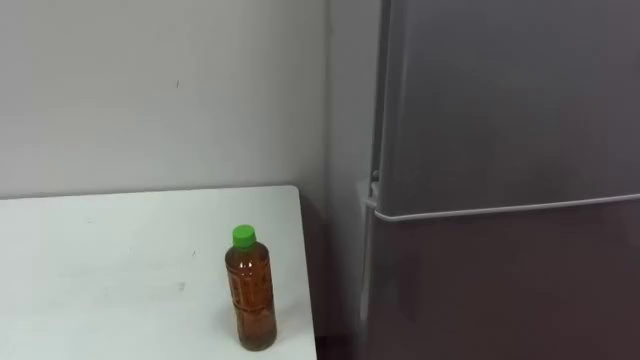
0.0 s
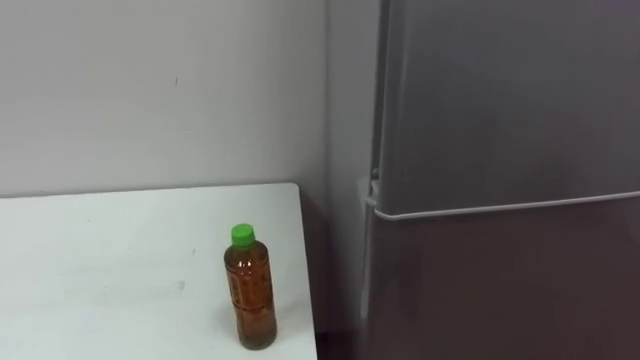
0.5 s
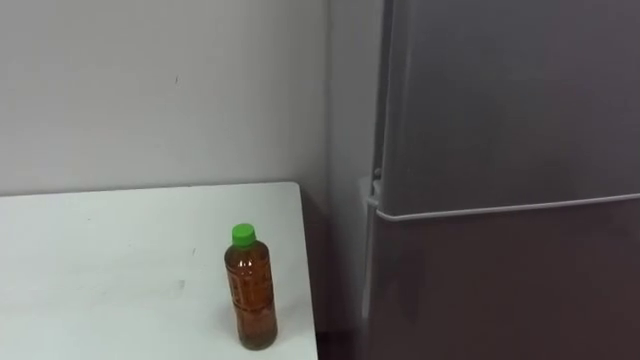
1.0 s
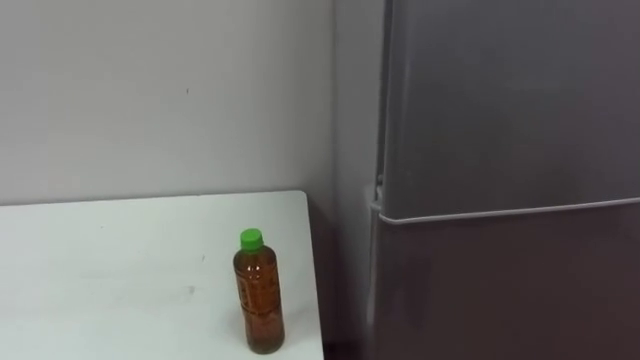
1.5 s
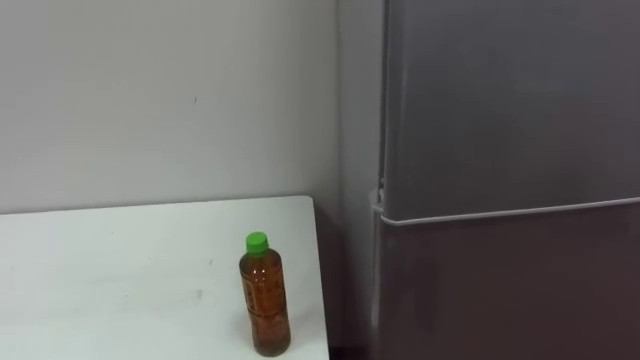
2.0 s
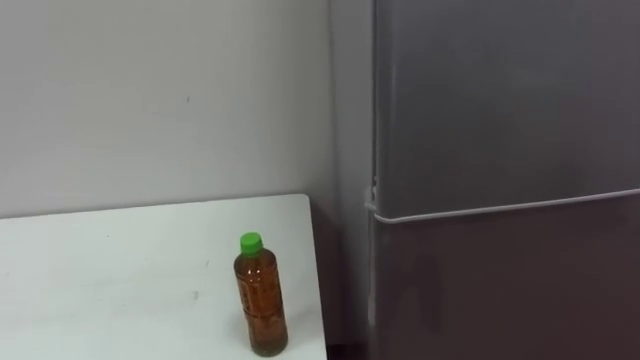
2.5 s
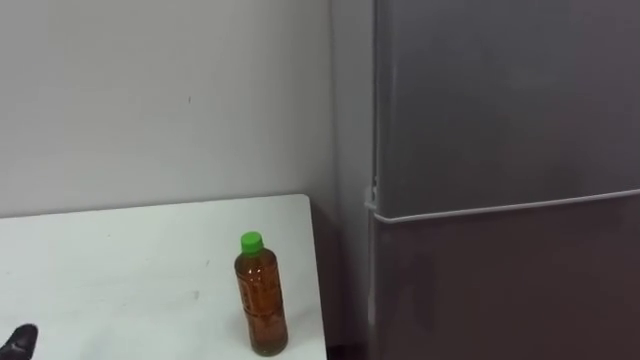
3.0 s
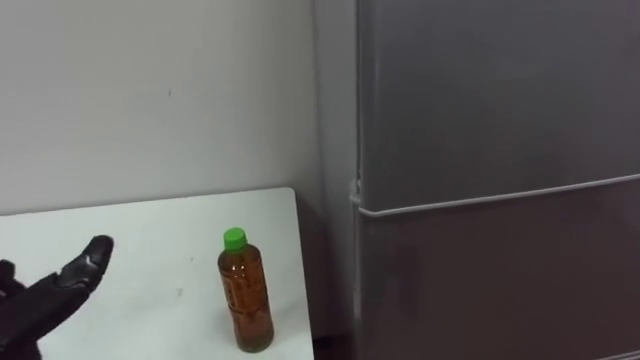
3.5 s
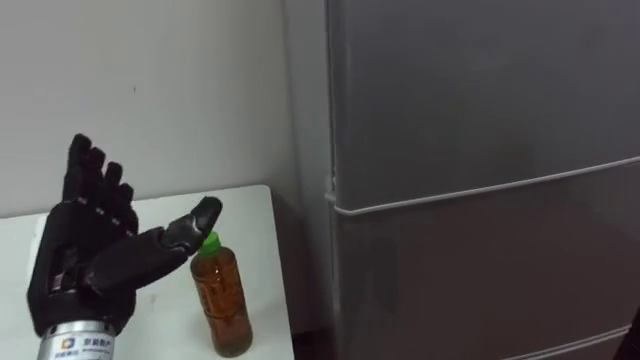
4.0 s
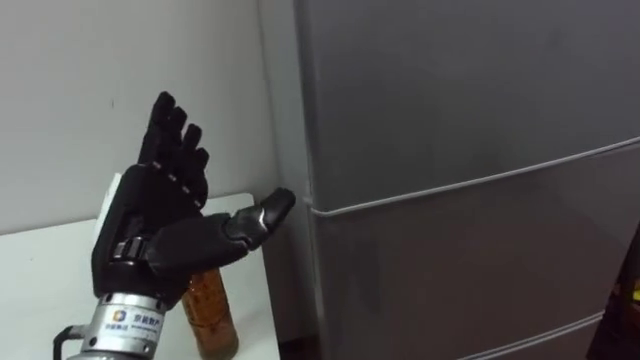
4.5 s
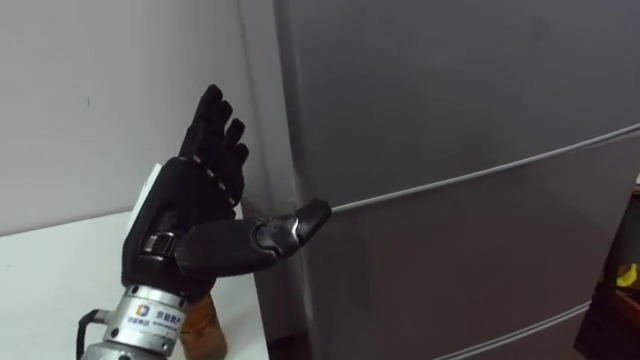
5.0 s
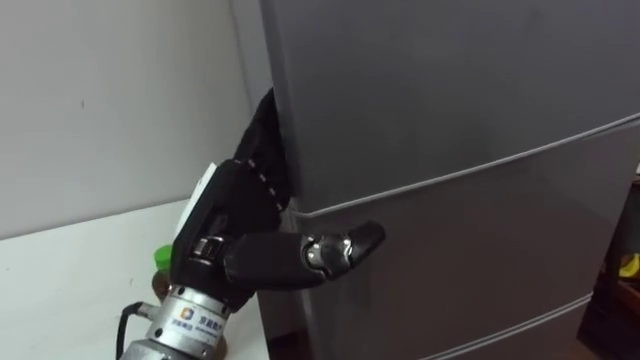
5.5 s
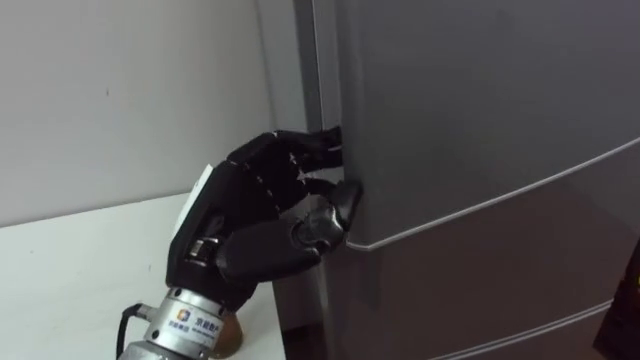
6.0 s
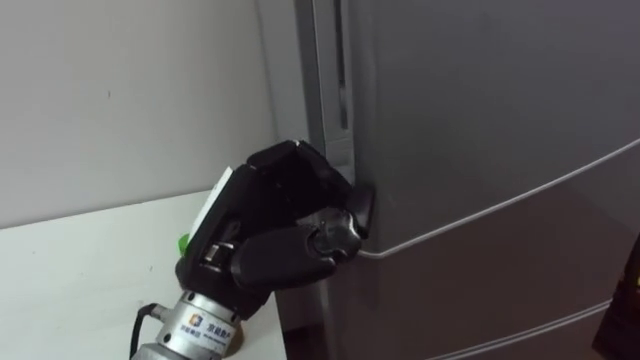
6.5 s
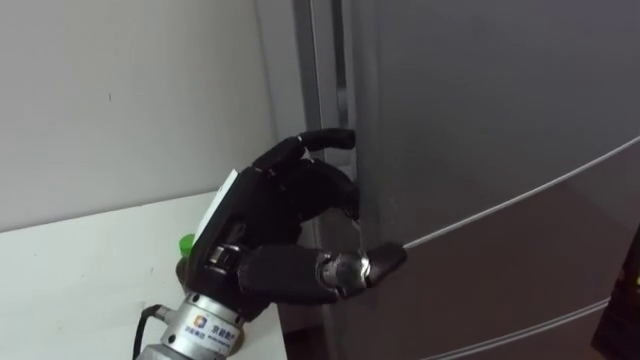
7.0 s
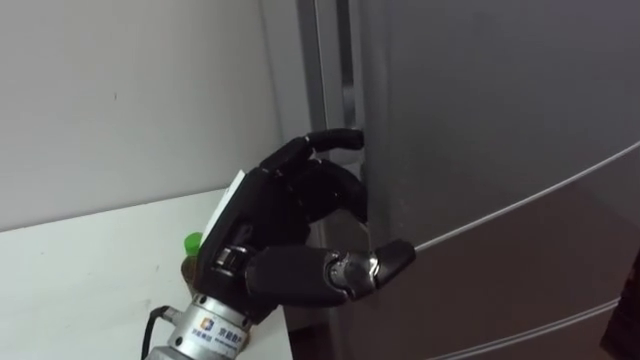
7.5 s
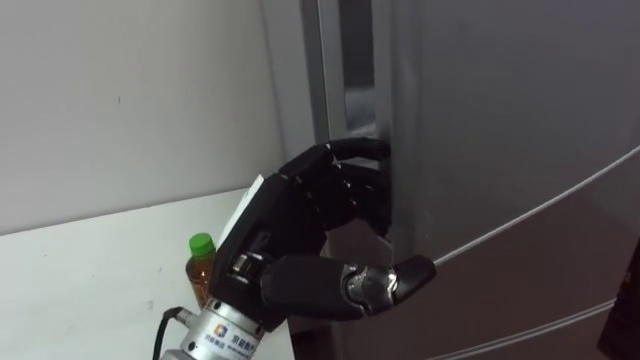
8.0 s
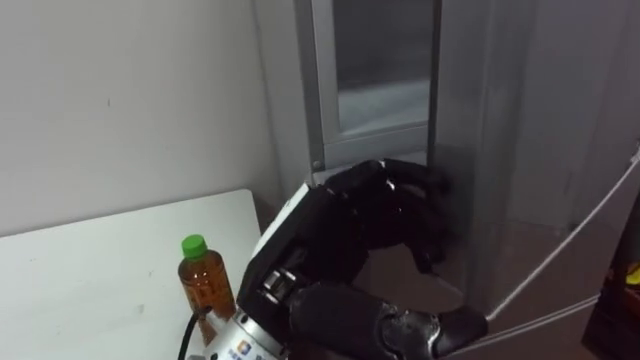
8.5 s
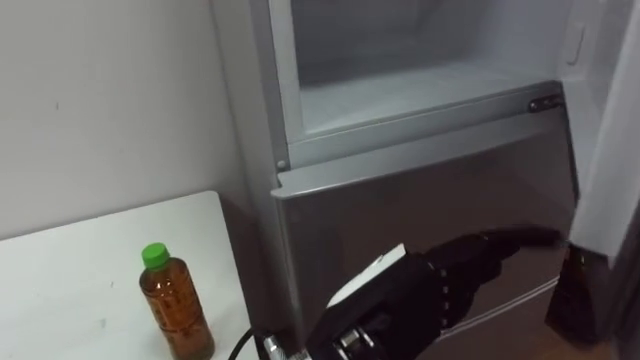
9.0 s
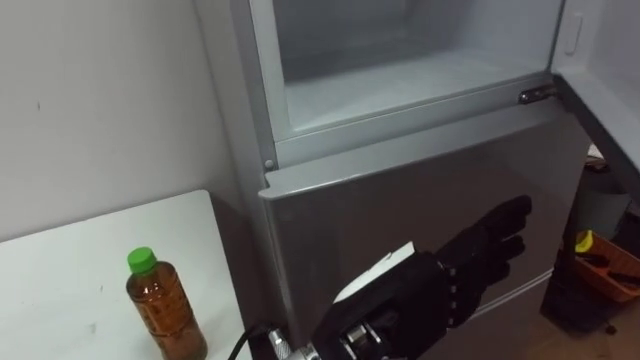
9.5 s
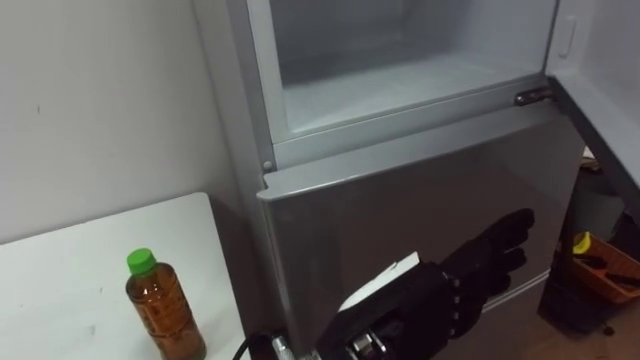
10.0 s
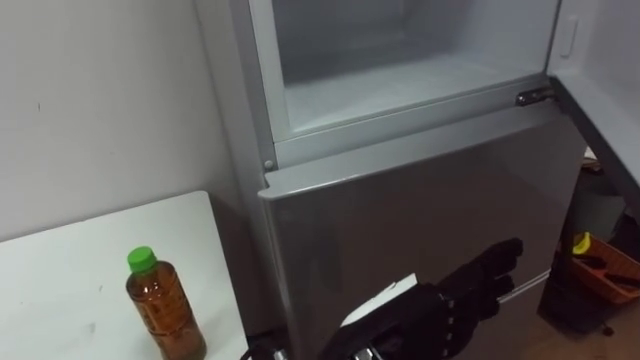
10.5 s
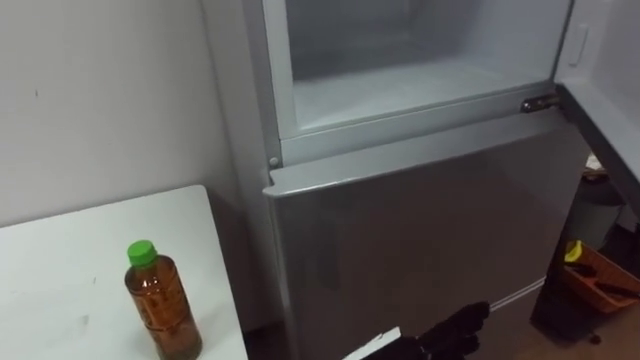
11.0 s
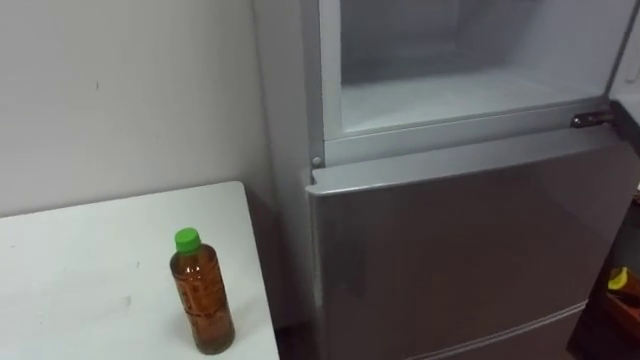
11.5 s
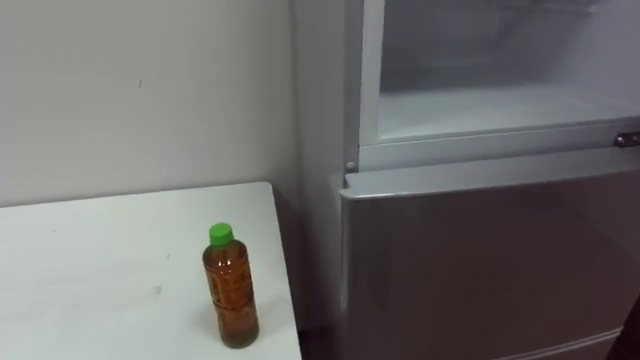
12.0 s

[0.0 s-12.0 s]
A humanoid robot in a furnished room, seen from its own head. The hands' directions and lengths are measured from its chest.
Task of the whole recording: Open the upper refrigerator door, put the drink from the table into the refrigerator, and then close the refrigerator door.
4.0 to 6.0 s: The left hand heads to the right, covering roughly 15 cm, and closes its fingers.
6.0 to 8.0 s: The left hand opens its fingers.
8.0 to 10.0 s: The left hand moves to the right and backward, about 10 cm.

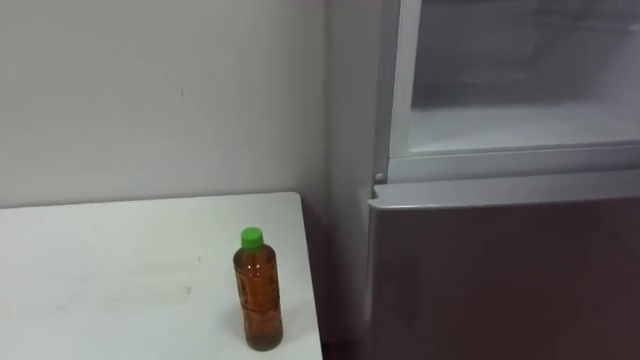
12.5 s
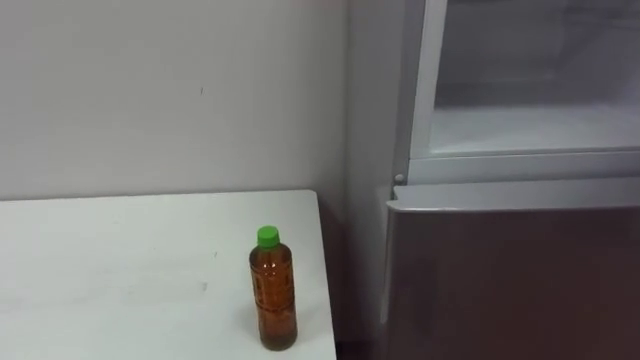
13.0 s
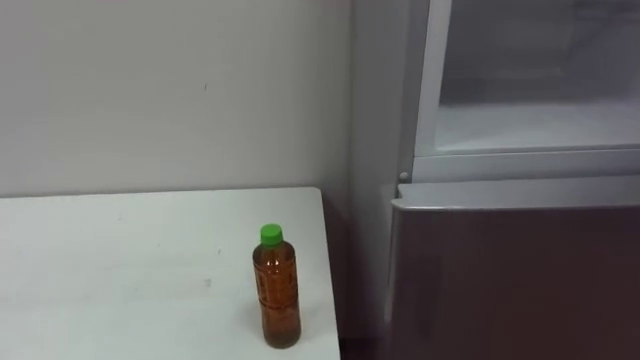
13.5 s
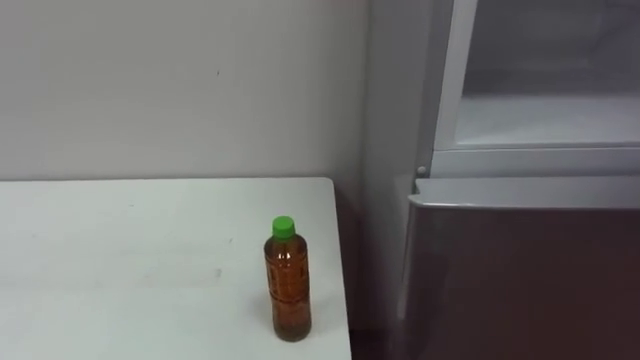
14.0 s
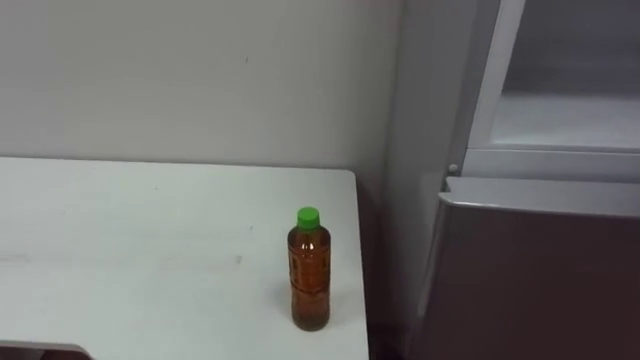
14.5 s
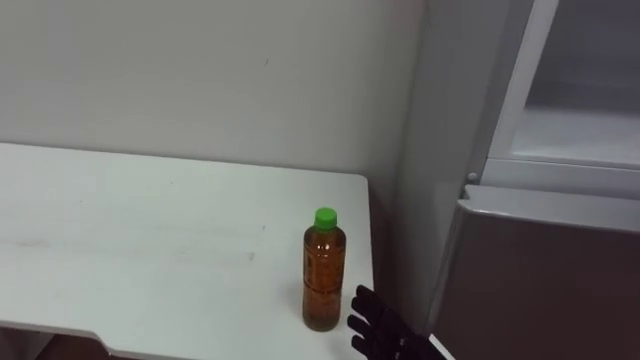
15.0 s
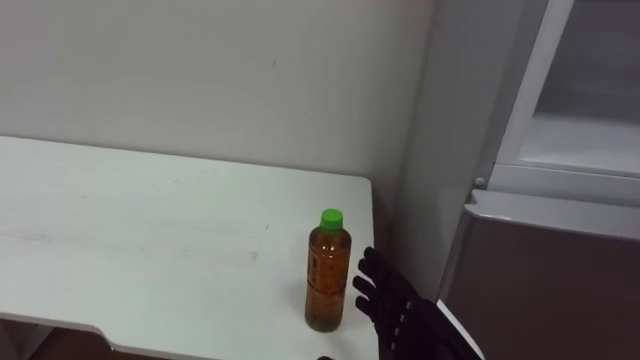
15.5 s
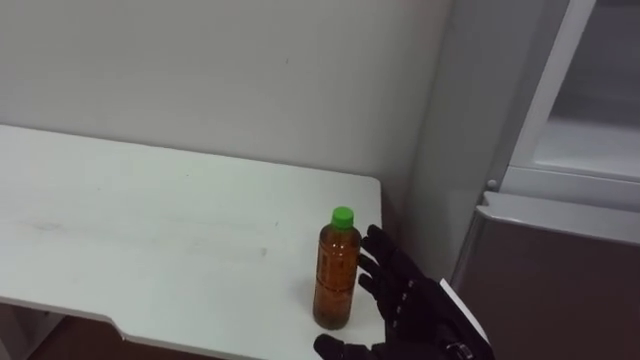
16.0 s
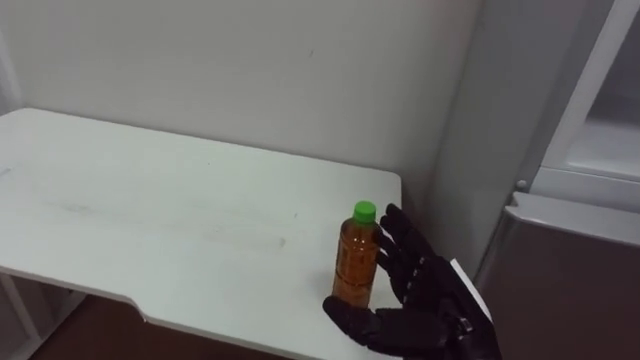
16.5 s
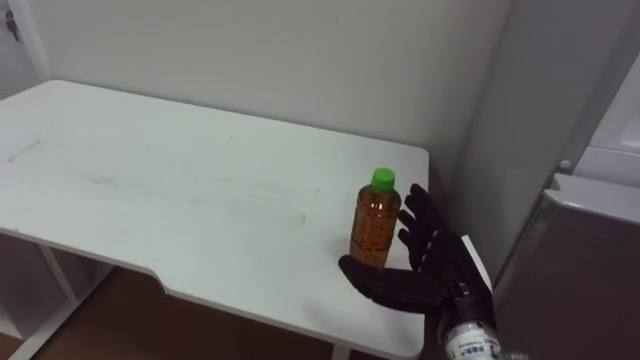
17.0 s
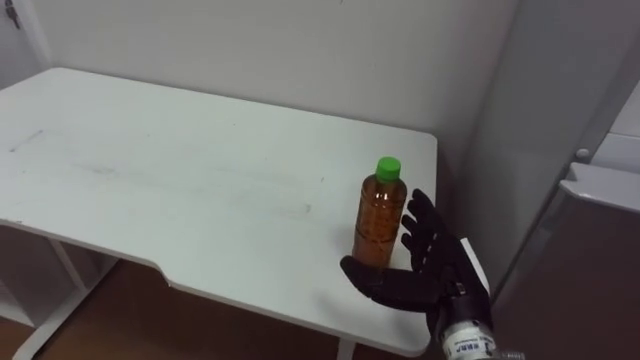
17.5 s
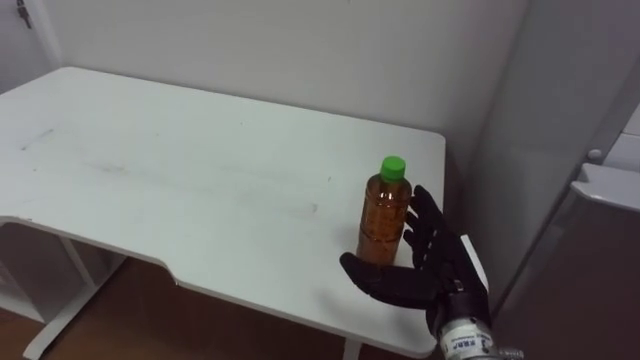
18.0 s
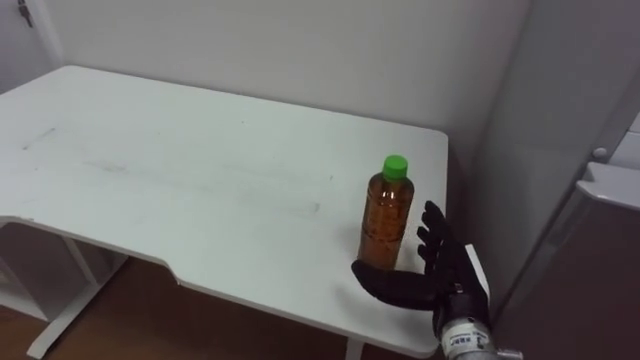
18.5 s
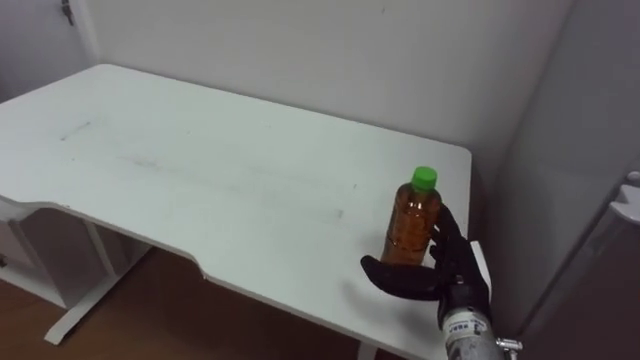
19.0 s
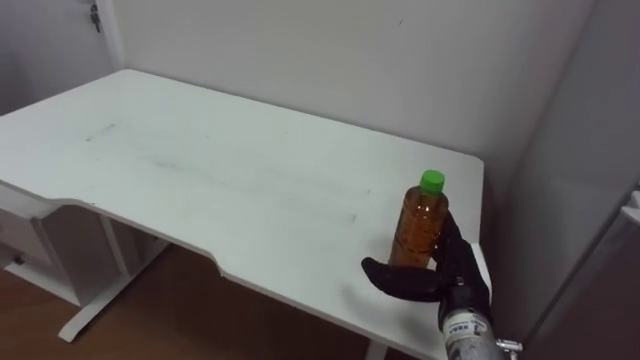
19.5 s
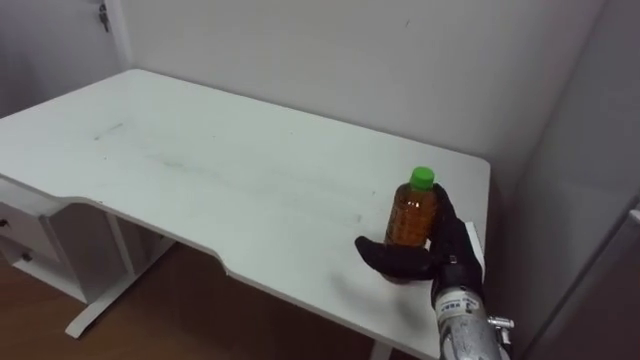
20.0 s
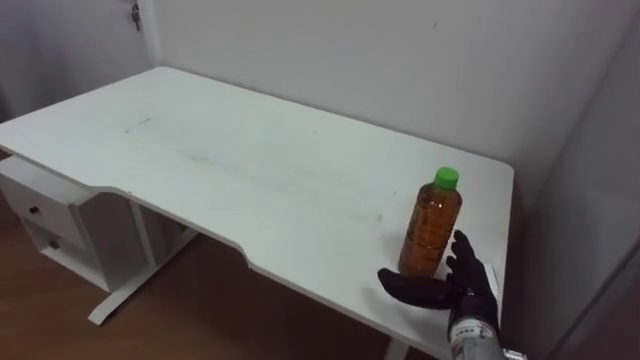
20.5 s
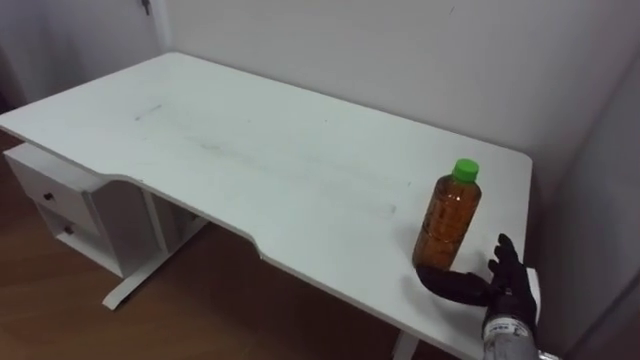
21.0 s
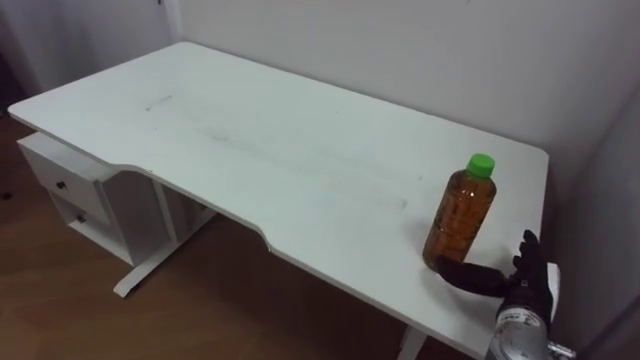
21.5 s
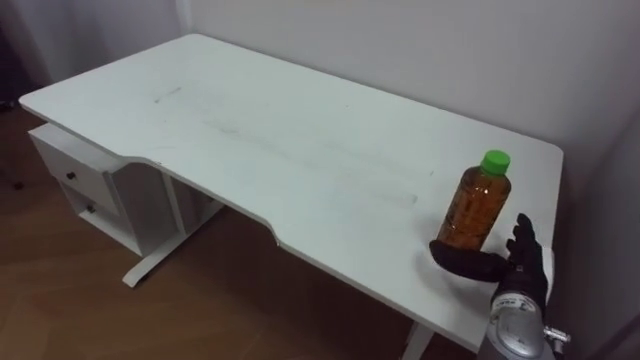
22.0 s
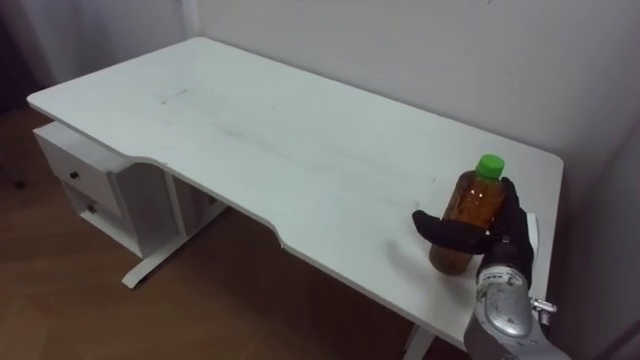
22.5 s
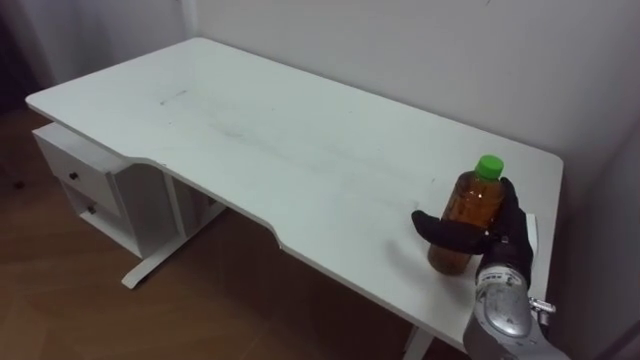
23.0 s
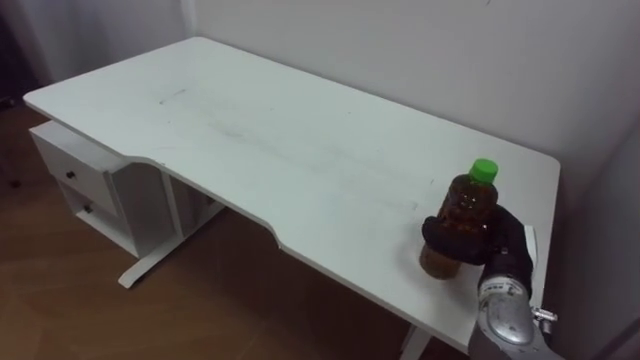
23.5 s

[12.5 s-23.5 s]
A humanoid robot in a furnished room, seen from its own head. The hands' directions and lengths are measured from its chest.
Task of the whole recording: Open the upper refrigerator door, put the drink from the table into the refrigerator, and then close the refrigerator door.
16.0 to 18.0 s: The right hand heads forward, covering about 5 cm.
20.0 to 21.5 s: The right hand is displaced to the right and downward by approximately 10 cm.
21.5 to 23.5 s: The right hand moves some 5 cm.
